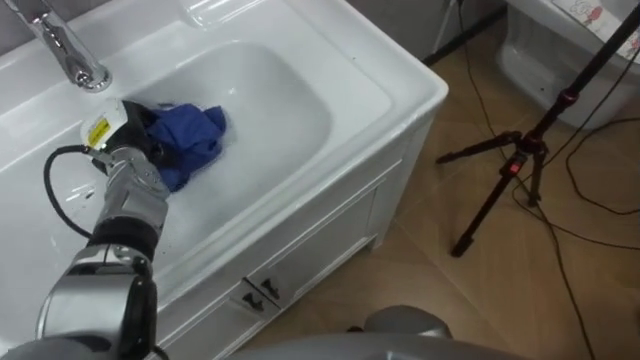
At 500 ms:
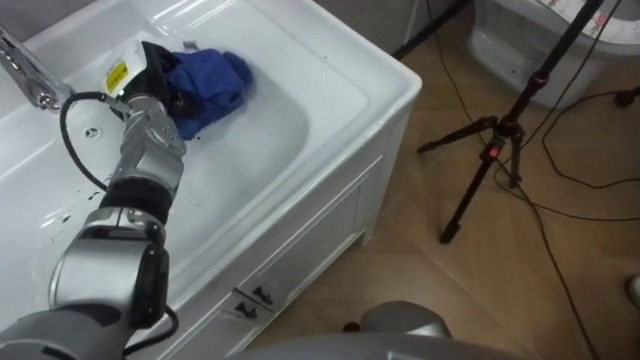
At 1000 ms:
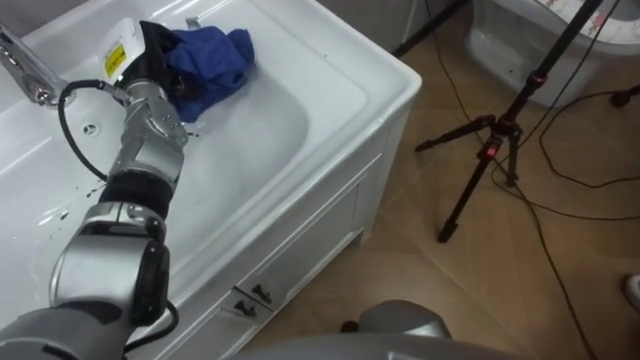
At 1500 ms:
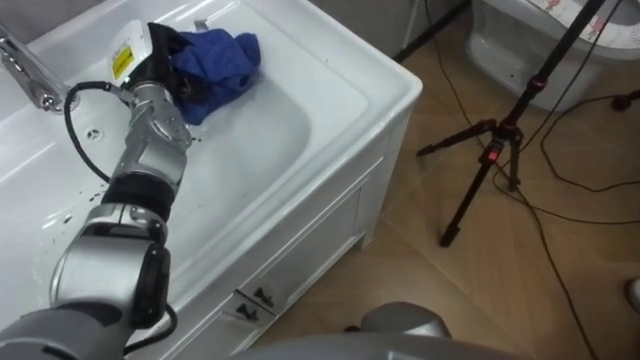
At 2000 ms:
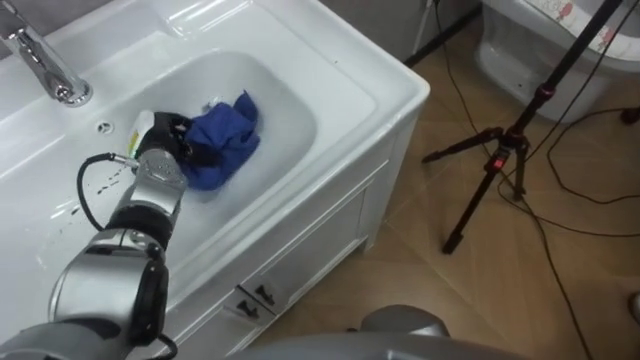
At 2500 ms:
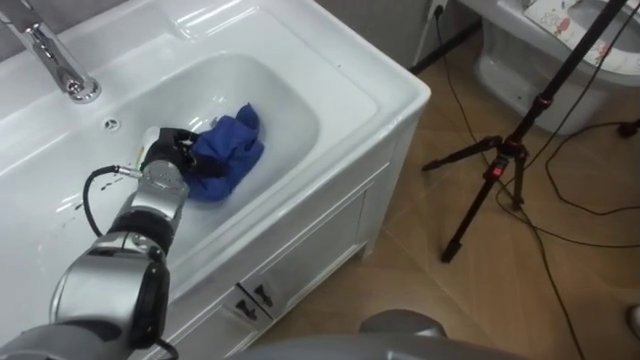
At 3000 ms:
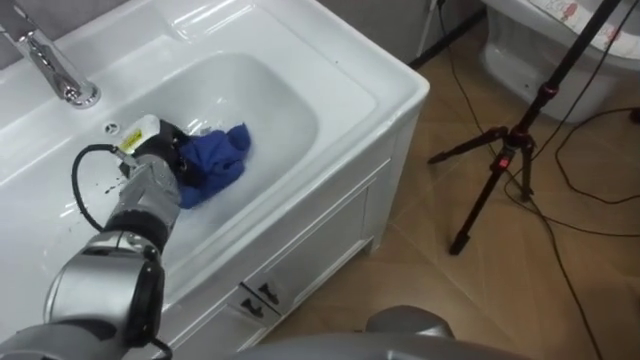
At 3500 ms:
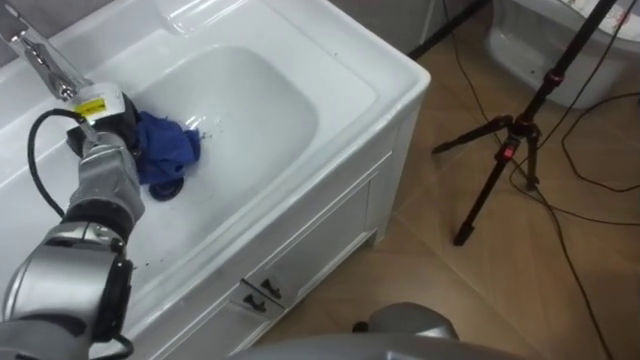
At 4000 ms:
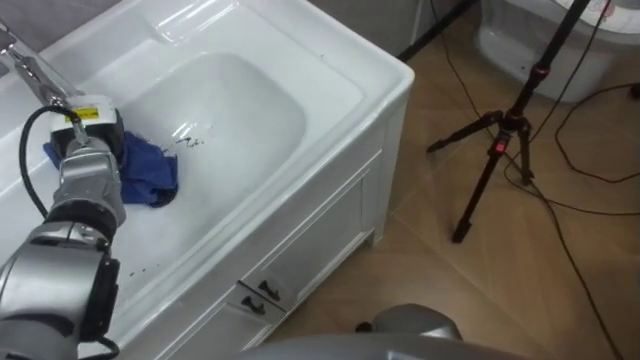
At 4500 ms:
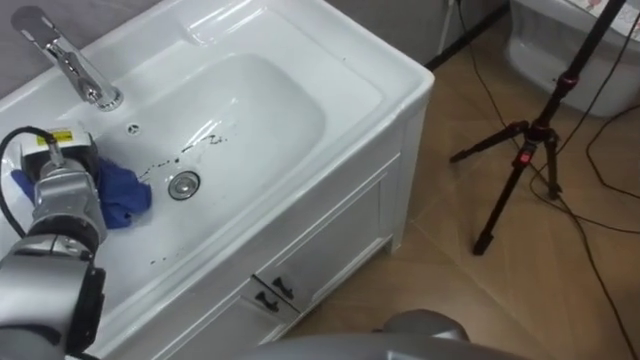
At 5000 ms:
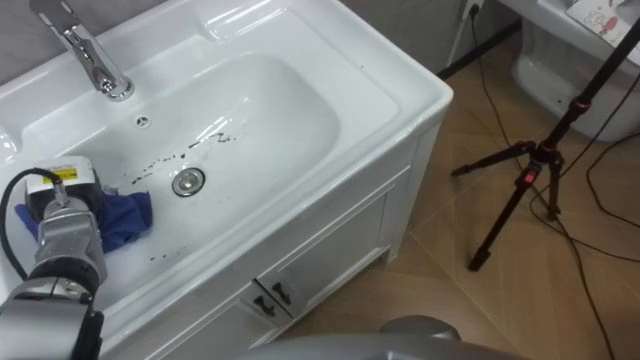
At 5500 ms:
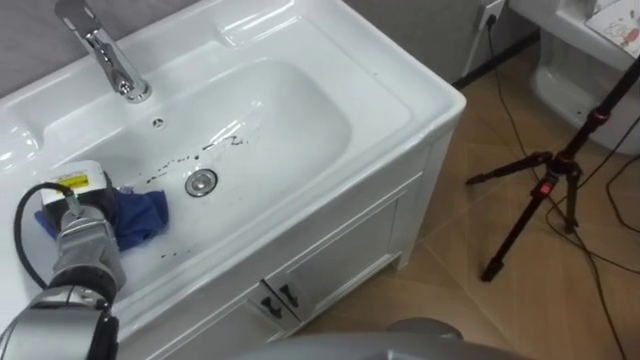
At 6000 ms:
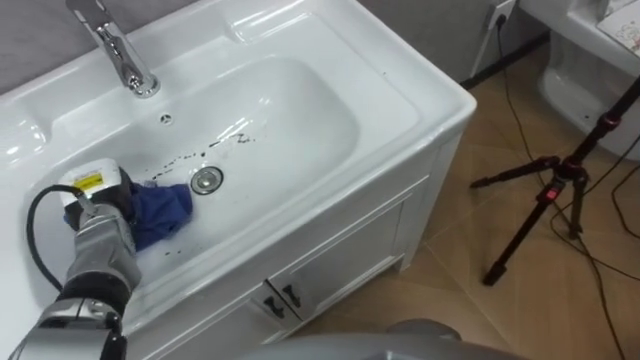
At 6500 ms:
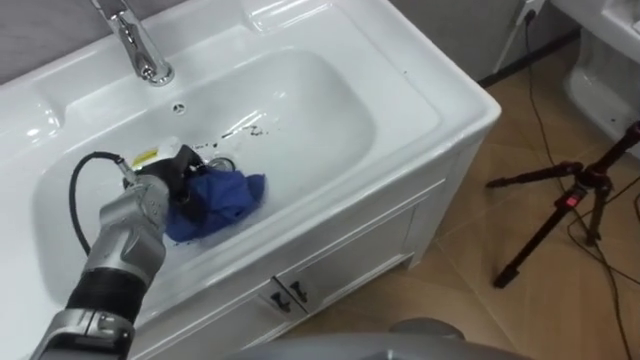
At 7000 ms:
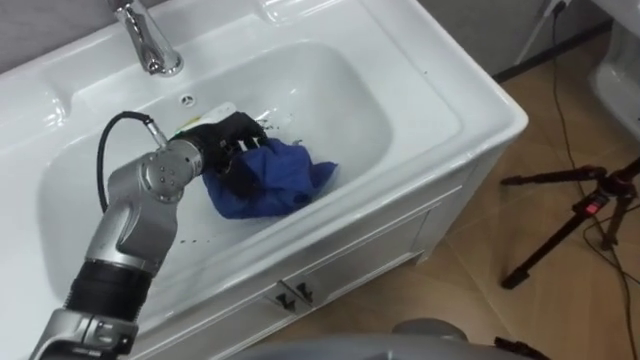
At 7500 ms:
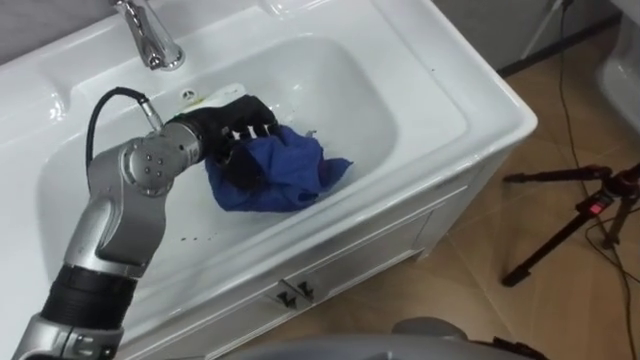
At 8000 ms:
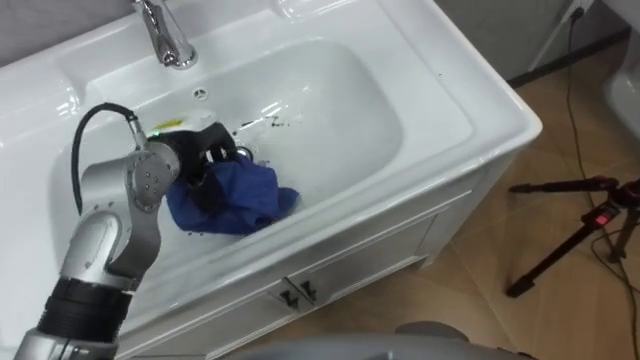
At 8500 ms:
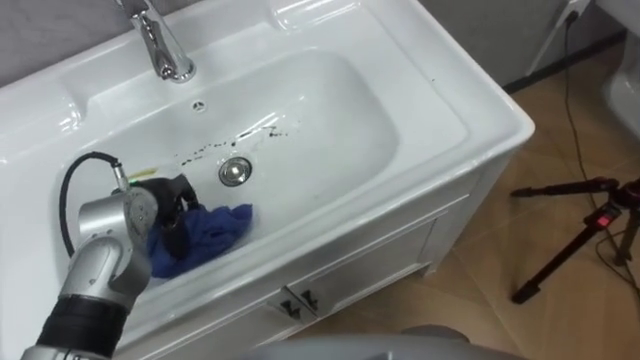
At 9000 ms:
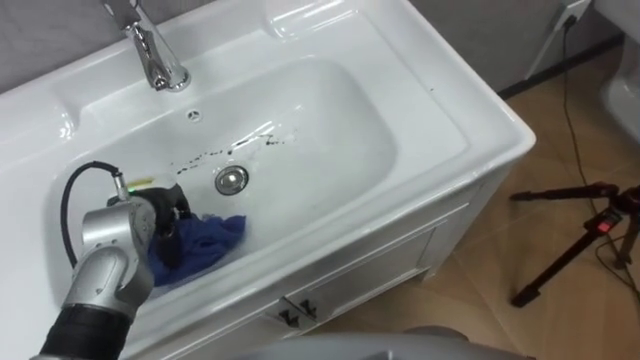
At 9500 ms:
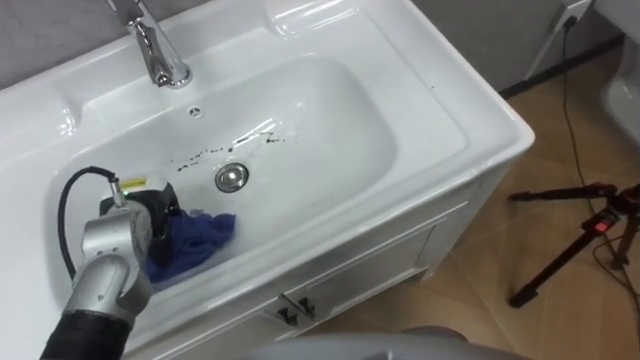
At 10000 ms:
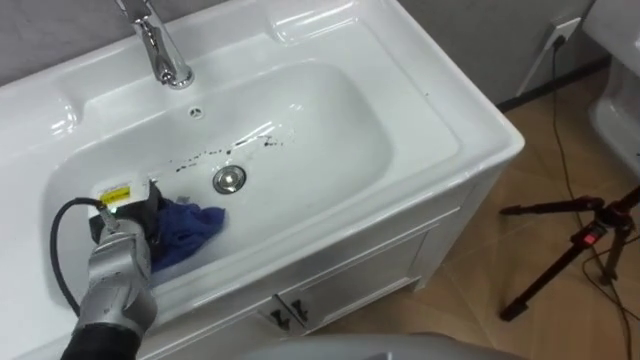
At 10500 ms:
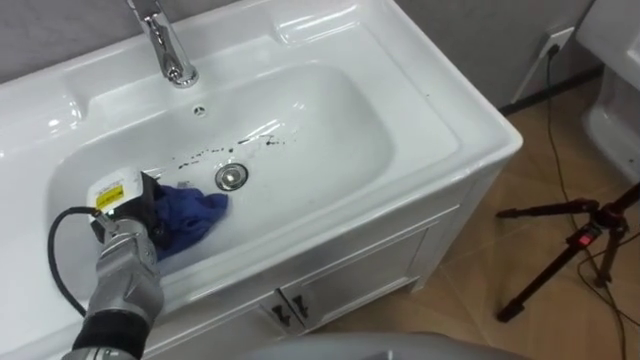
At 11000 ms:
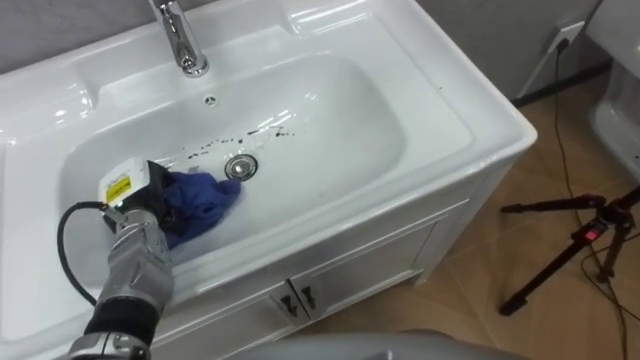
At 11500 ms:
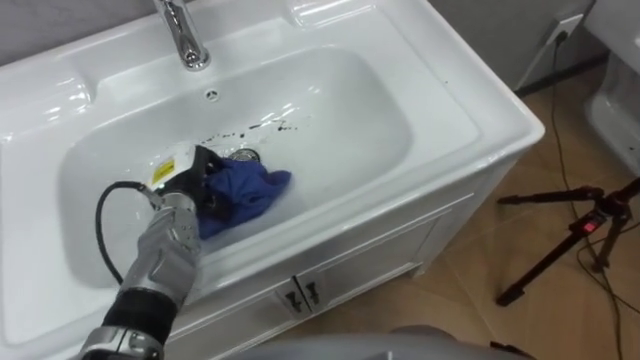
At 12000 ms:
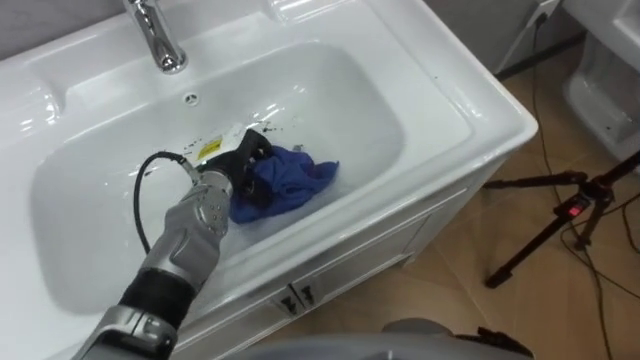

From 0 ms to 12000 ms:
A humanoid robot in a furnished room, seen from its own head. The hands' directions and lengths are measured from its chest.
Task of the whole recording: Use the cloth on the right to wipe away the black stain in the sink.
From 0 ms to 2000 ms: The left hand moves approximately 5 cm upward and comes back.
From 2000 ms to 4000 ms: The left hand heads to the left, covering some 10 cm.
From 4000 ms to 6000 ms: The left hand travels backward and downward by about 10 cm.
From 6000 ms to 8000 ms: The left hand travels to the right and upward by some 15 cm.
From 8000 ms to 10000 ms: The left hand travels to the left, downward and backward by about 15 cm.
From 10000 ms to 12000 ms: The left hand heads to the right and forward, covering about 15 cm.

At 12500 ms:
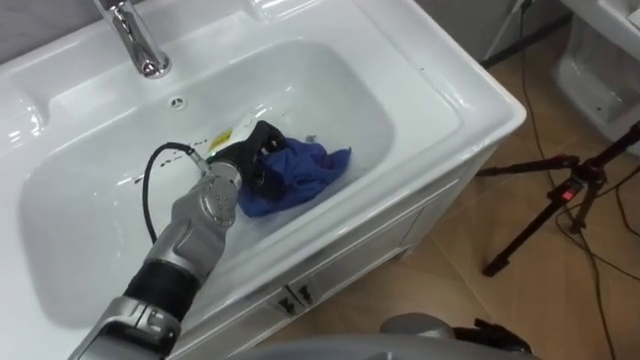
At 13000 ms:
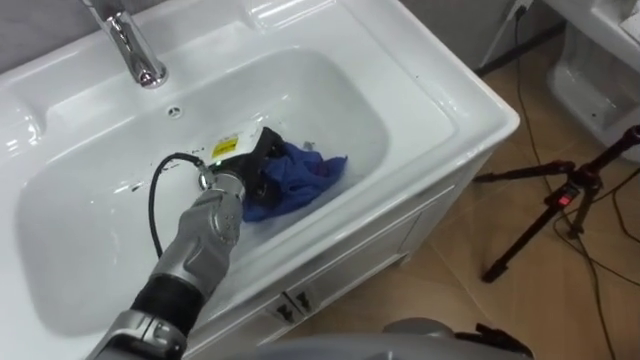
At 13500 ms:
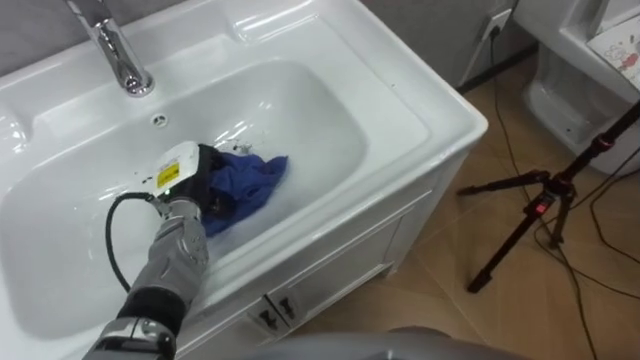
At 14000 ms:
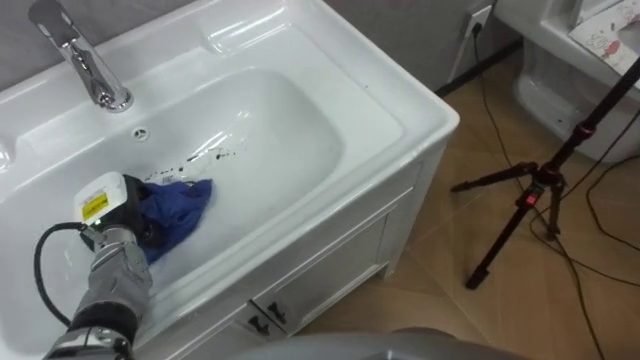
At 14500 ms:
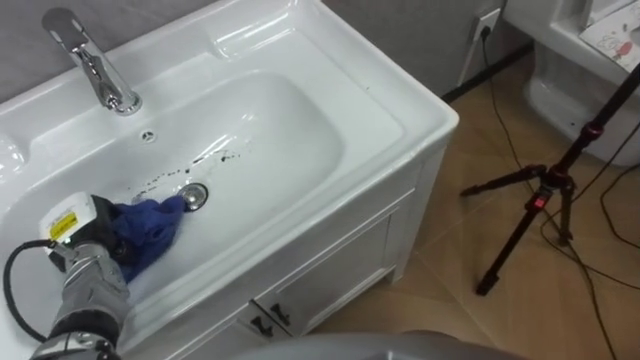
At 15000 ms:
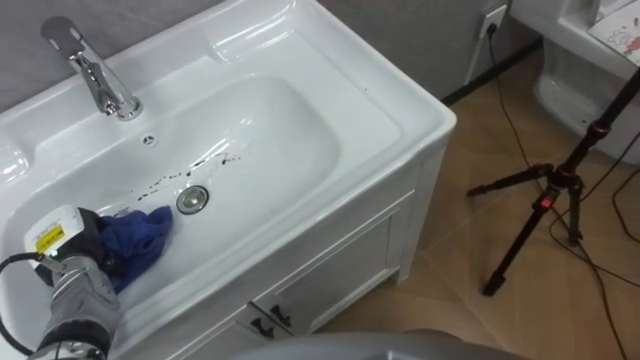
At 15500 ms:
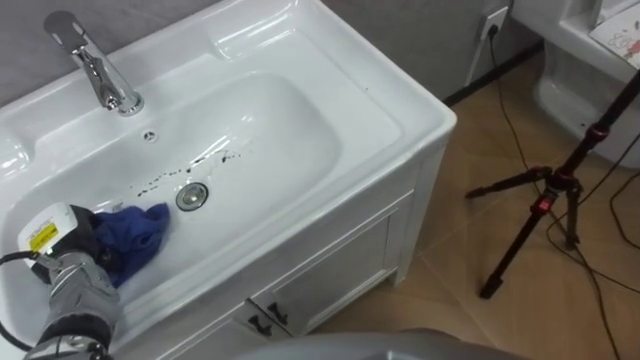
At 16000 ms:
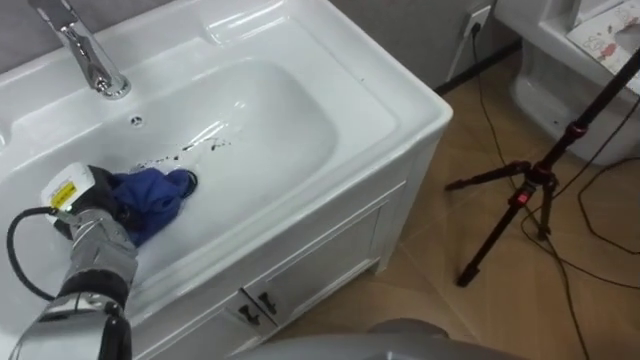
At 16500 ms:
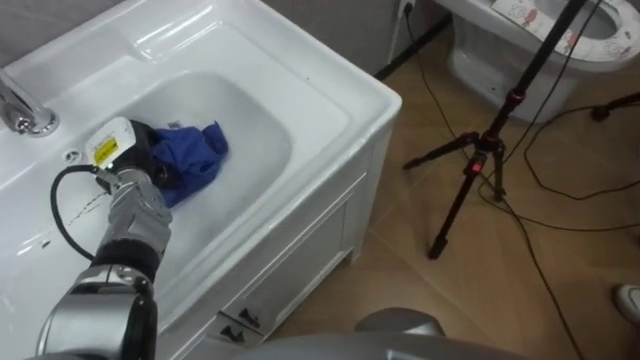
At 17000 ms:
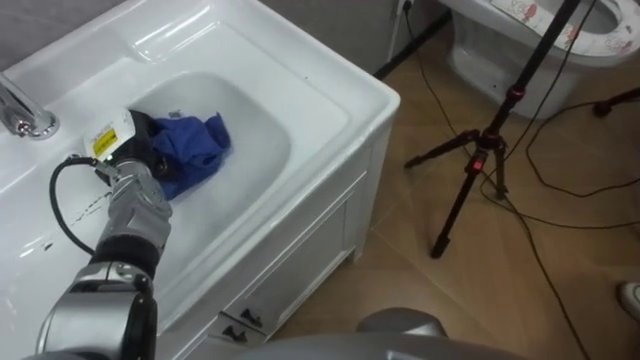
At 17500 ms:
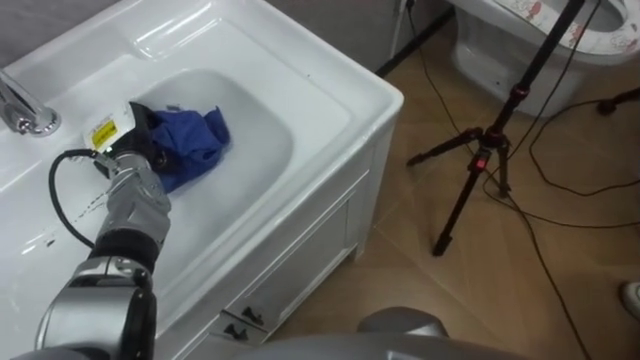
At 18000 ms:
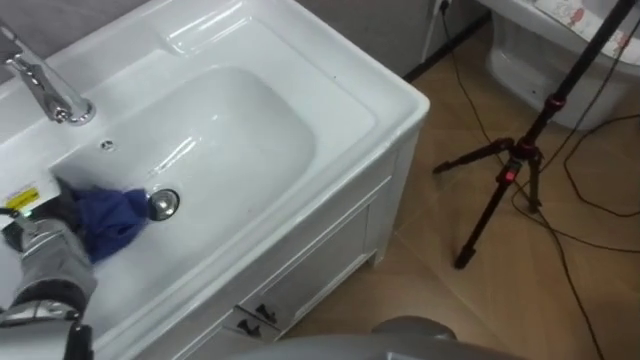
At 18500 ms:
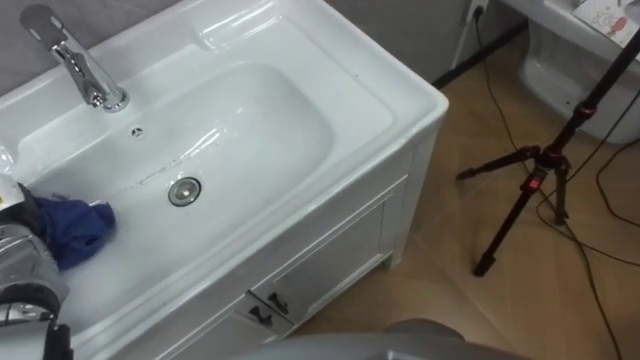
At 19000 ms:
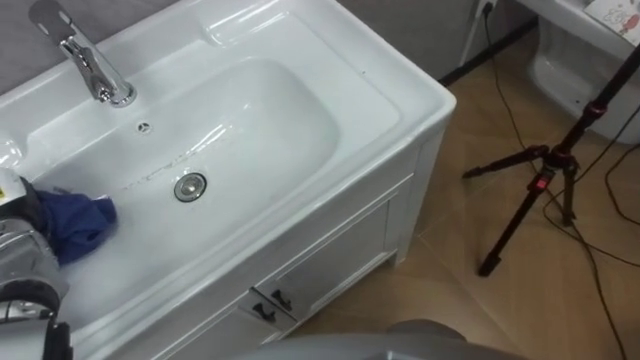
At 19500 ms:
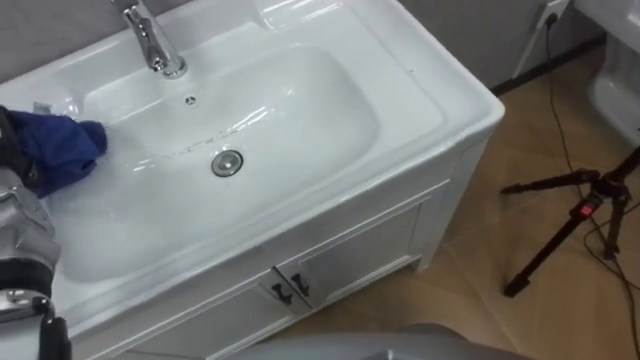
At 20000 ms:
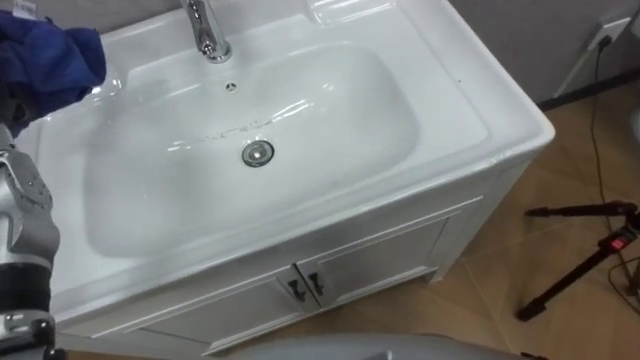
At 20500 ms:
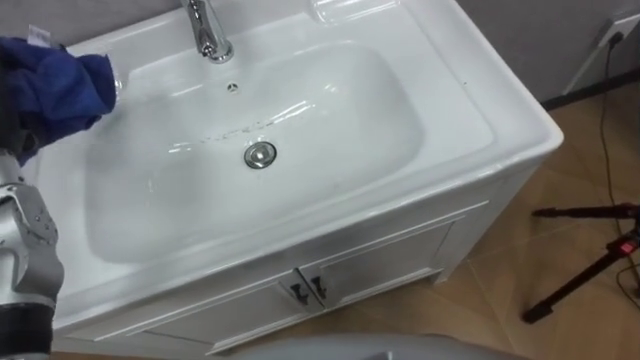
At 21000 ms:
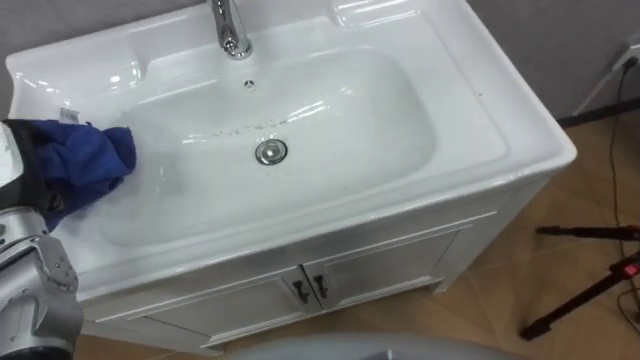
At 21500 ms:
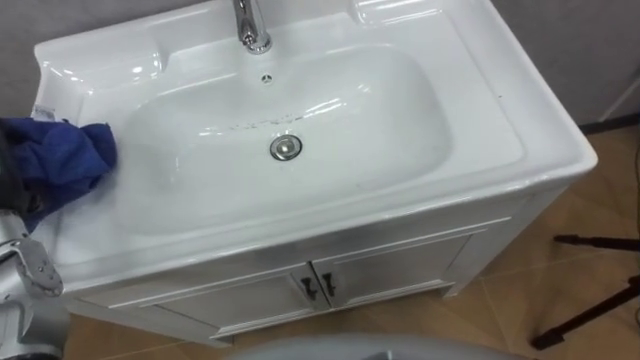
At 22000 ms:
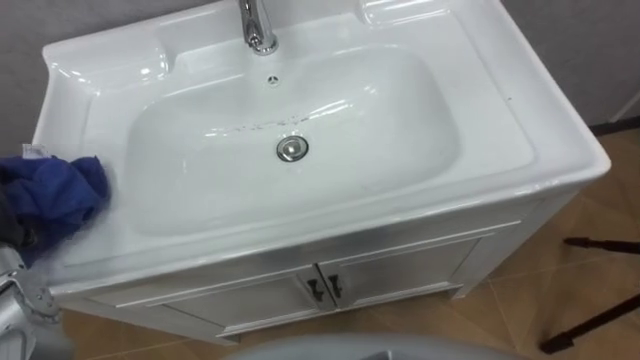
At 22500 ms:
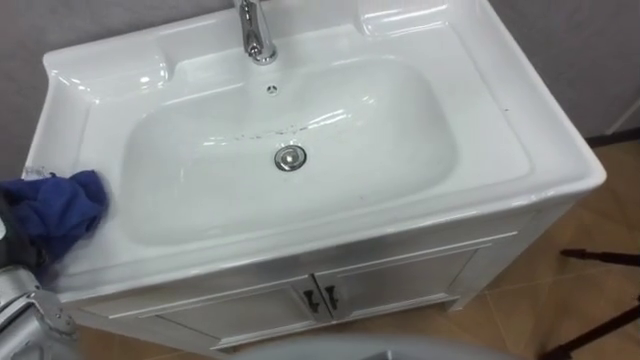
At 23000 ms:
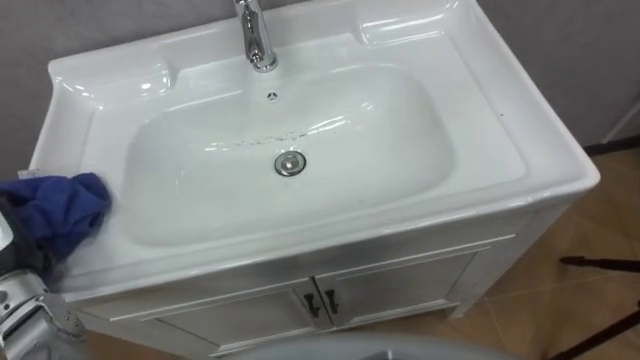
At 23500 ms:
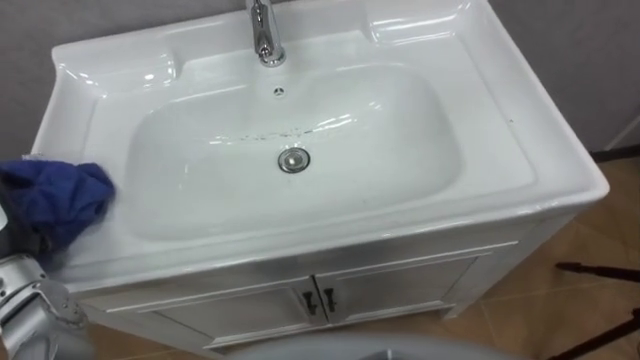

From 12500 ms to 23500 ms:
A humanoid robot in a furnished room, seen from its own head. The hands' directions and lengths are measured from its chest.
Task of the whole recording: Use the cloth on the right to wipe away the black stain in the sink.
From 12500 ms to 14500 ms: The left hand travels to the left and backward by about 25 cm.
